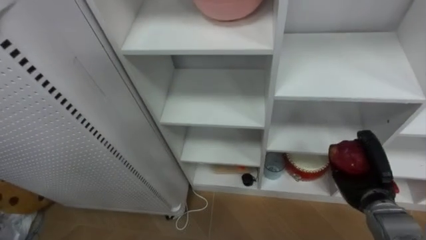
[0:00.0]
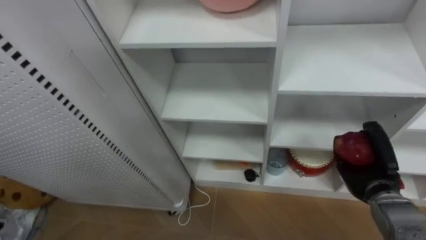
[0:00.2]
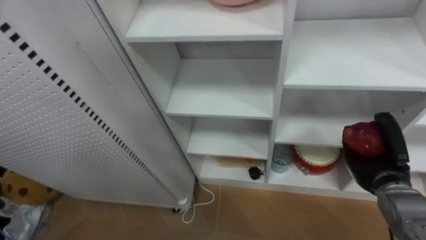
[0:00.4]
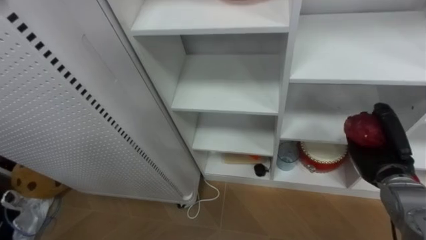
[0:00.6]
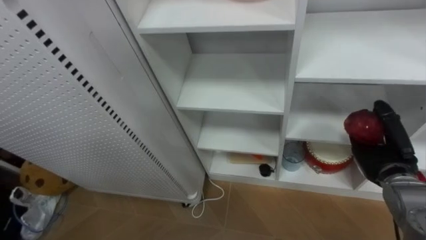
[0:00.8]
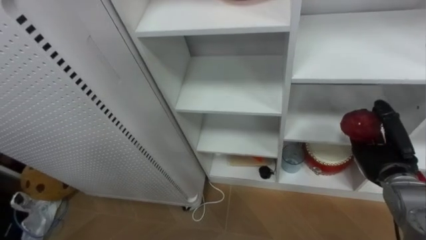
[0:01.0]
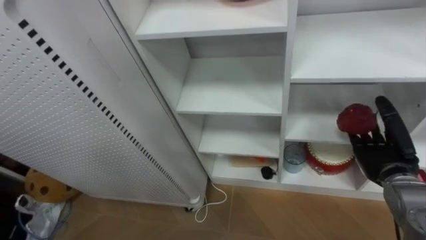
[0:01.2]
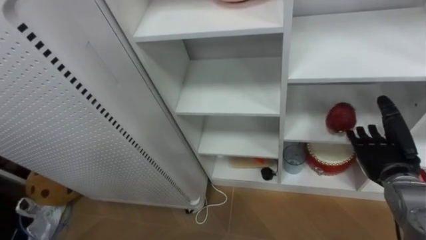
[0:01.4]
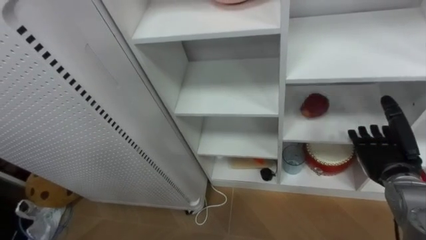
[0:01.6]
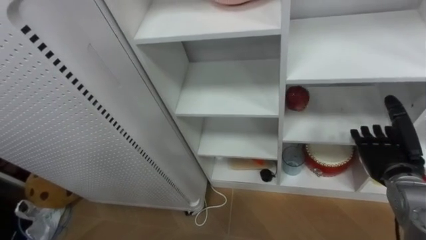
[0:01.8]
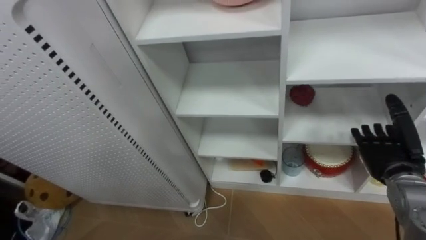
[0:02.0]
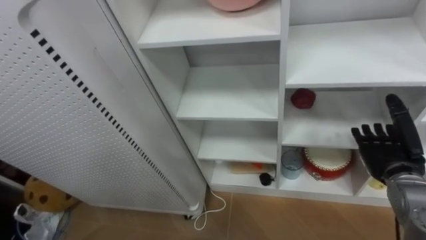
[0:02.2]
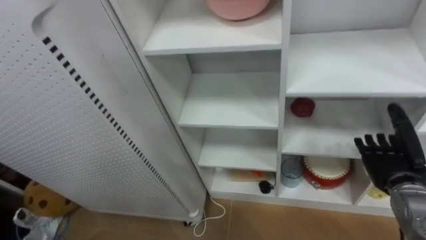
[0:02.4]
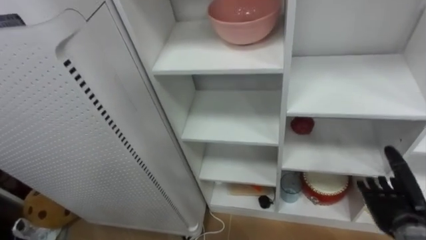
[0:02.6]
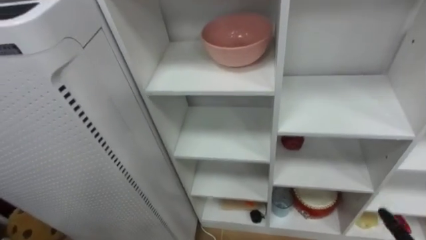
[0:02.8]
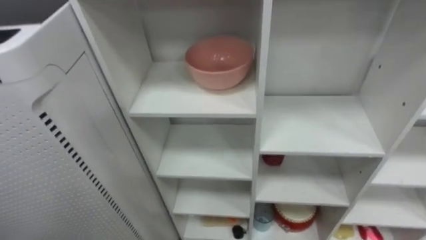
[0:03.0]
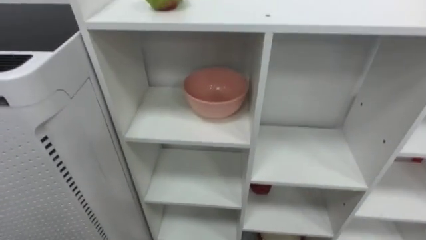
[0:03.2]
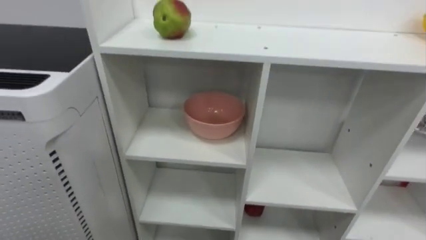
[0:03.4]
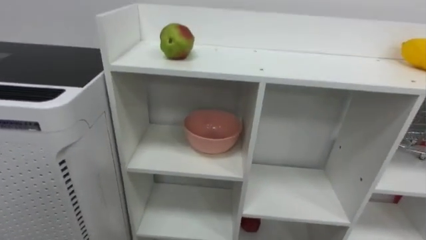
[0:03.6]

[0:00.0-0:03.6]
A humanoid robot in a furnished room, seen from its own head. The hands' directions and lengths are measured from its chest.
Task of the whole recording: Put the apple in the cell in the second column from the left and the second row from the top.
0:00.0 to 0:01.8: The right hand heads upward, covering some 5 cm, and opens its fingers.

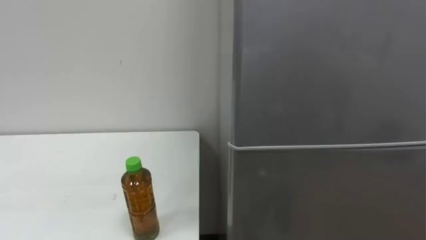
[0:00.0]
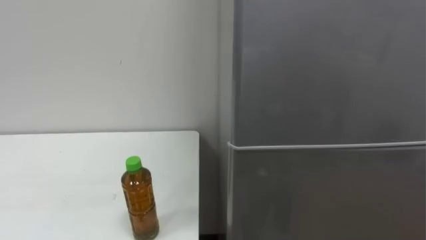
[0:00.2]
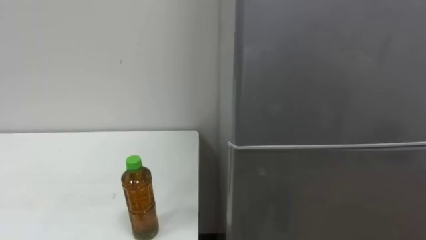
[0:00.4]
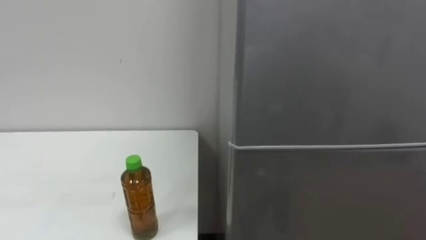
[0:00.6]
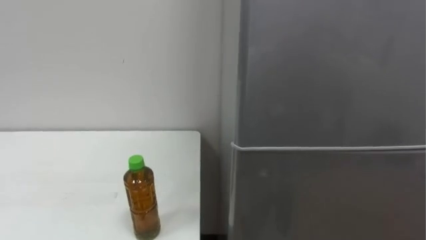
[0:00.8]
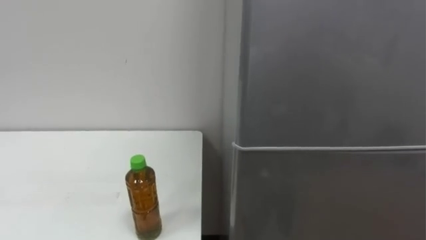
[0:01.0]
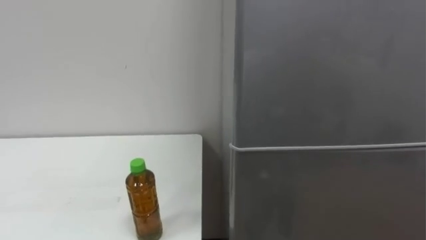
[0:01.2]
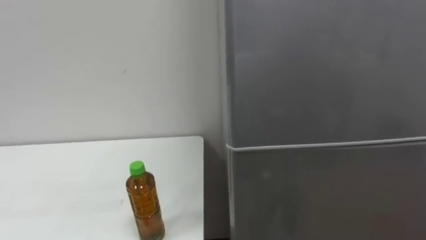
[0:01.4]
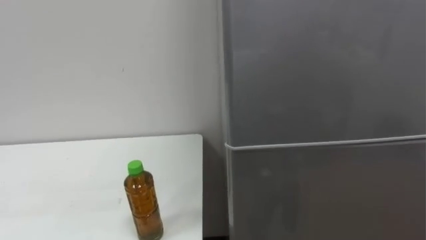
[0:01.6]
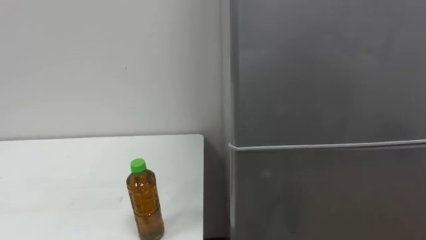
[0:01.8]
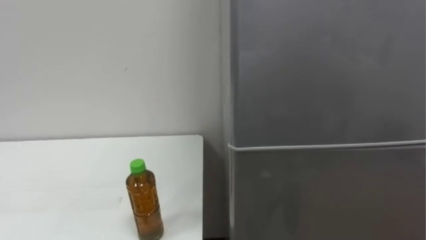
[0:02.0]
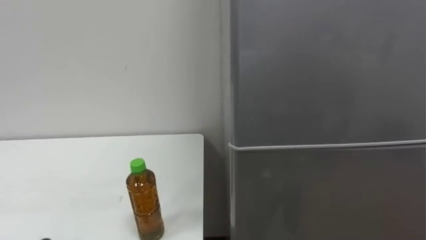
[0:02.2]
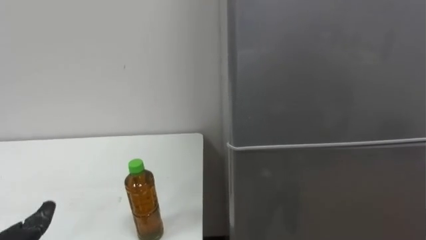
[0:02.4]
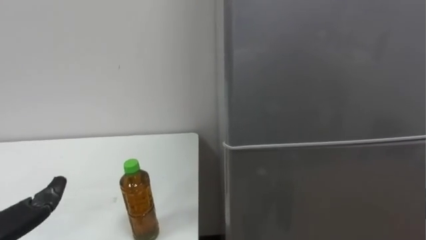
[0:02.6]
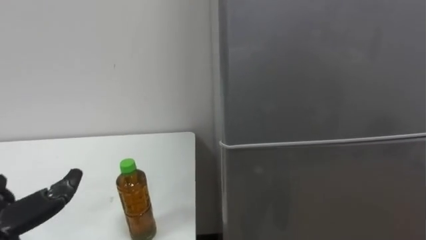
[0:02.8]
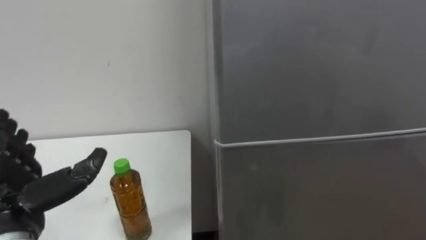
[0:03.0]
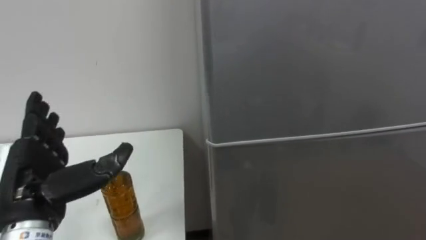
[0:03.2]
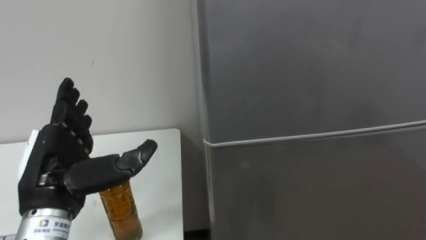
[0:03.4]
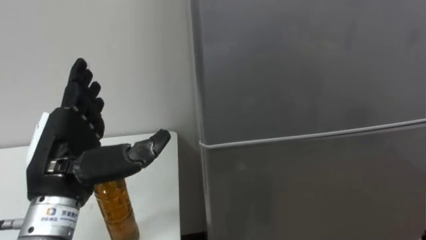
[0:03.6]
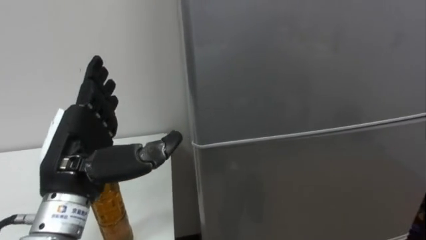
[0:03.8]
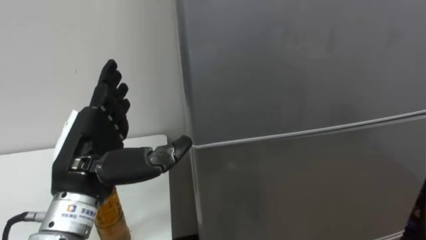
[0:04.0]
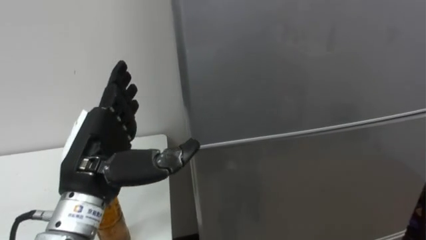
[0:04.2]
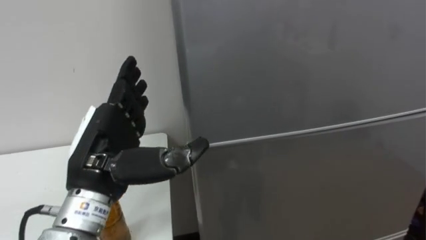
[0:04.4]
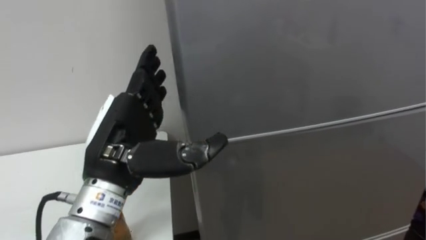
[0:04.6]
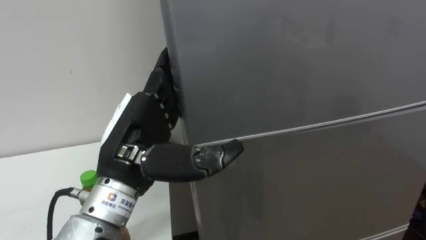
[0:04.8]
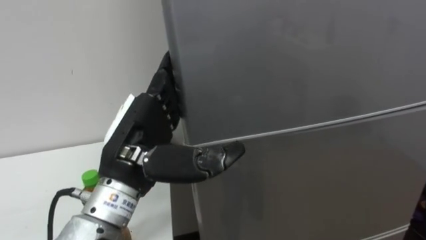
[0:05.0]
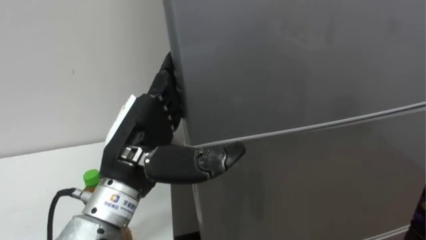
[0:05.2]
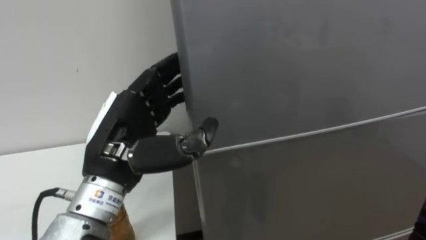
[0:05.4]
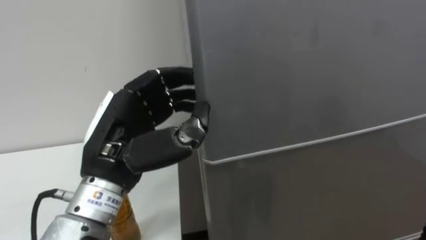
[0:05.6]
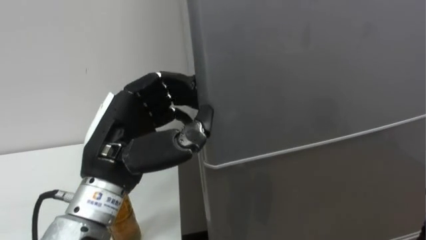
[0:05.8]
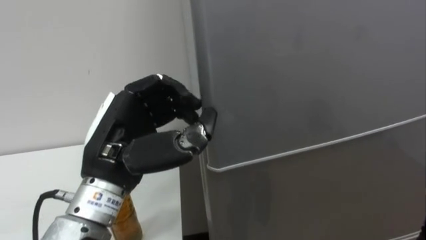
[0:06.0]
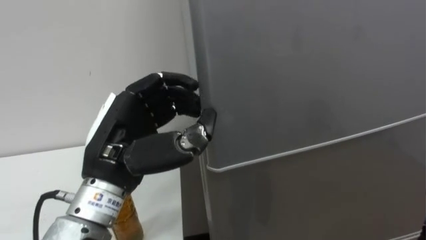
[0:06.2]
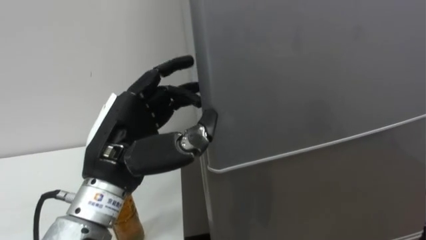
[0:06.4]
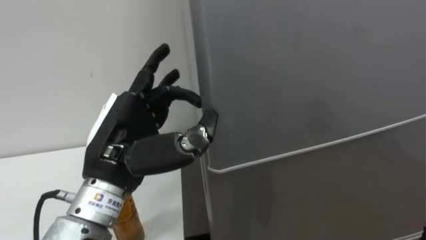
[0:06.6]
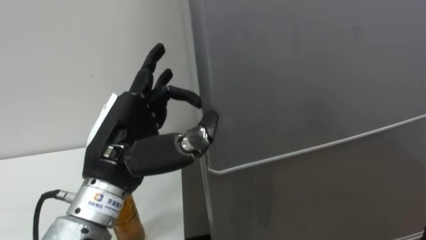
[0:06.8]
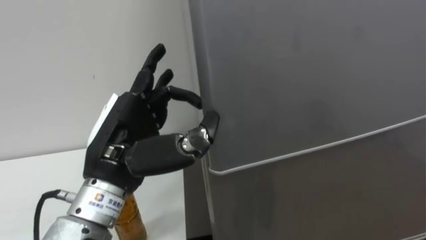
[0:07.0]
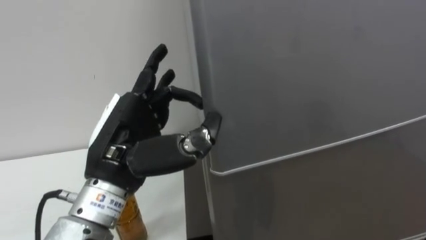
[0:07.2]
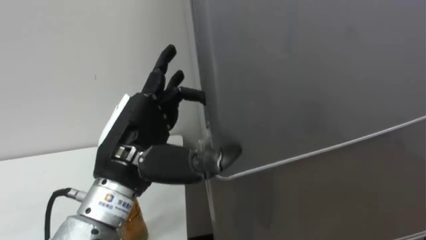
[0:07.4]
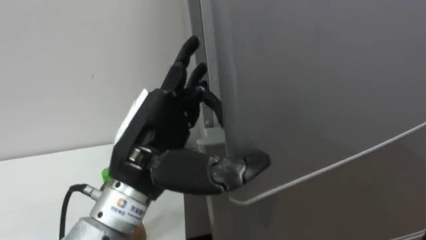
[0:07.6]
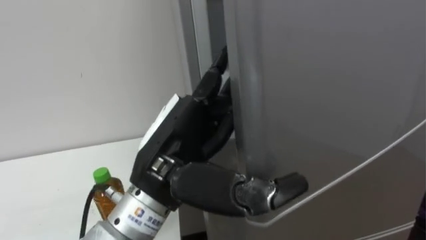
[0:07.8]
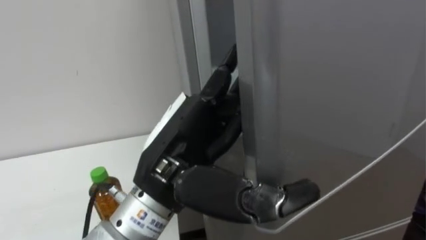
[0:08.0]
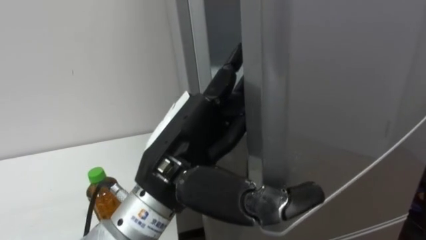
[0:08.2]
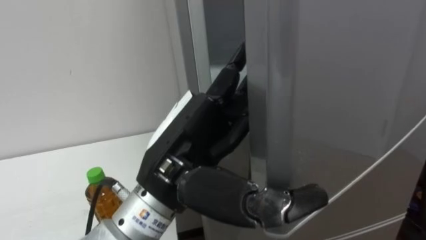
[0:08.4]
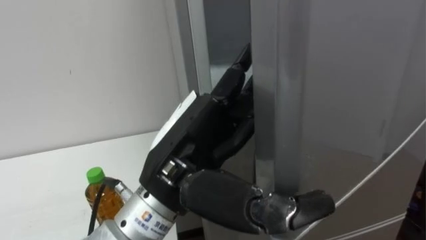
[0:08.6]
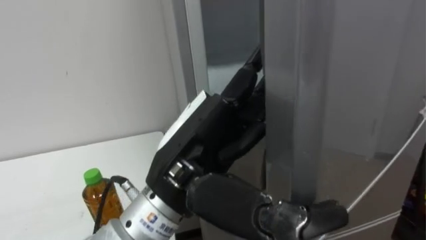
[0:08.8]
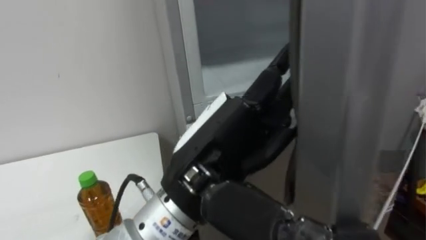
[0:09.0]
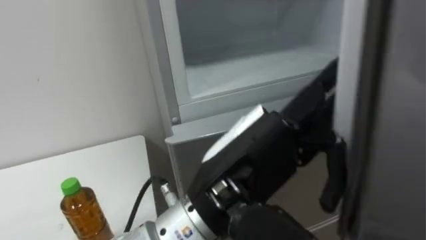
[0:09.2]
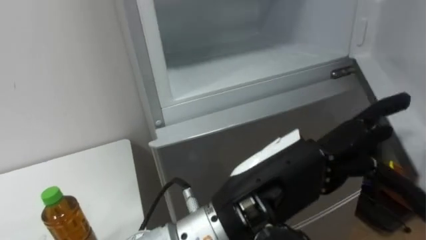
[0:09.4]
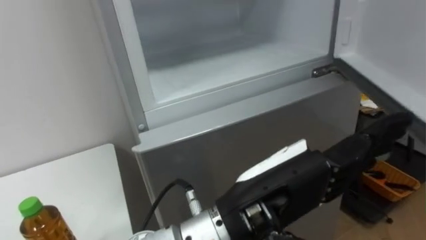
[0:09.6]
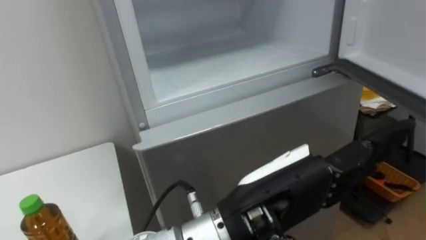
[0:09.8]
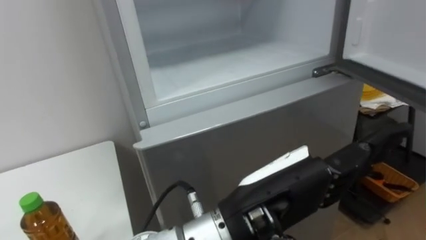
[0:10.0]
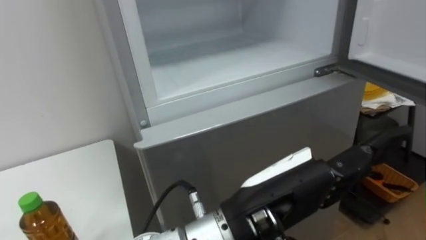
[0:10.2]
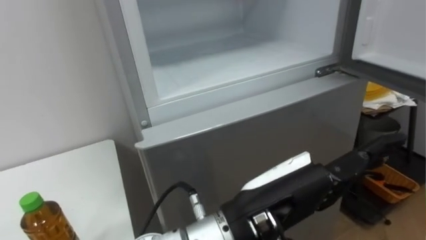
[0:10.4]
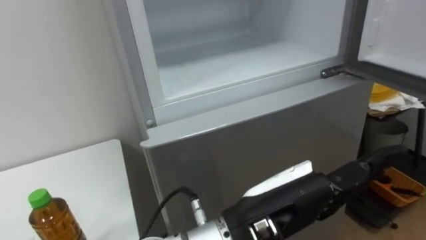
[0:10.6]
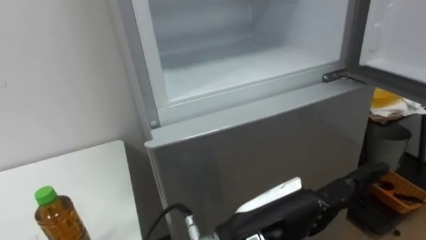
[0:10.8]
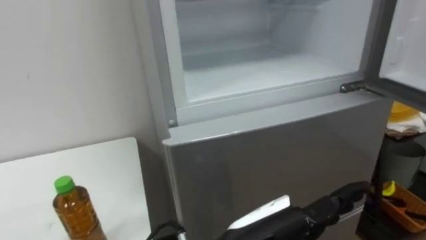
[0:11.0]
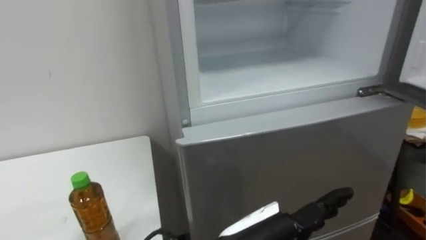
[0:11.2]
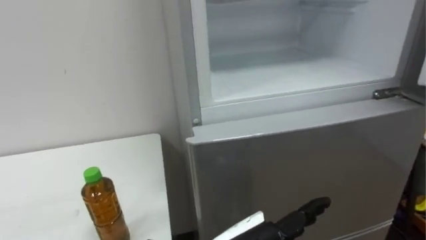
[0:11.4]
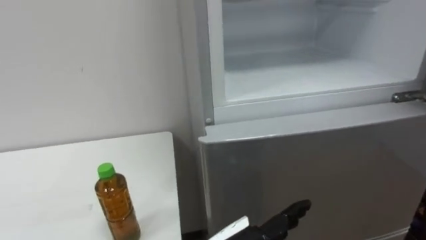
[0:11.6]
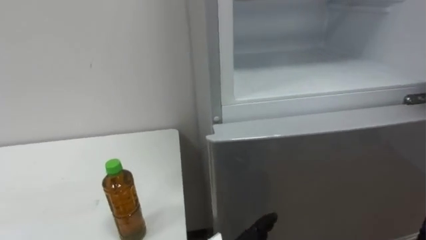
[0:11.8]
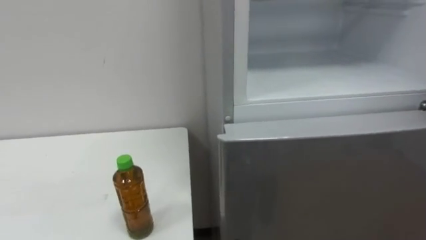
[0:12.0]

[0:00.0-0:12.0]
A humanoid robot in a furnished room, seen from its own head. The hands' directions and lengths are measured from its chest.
Task of the whole recording: Open the upper refrigerator door, put the drink from the table into the refrigerator, and then close the refrigerator door.
0:03.0 to 0:04.4: The left hand travels to the right and upward by about 15 cm.
0:04.4 to 0:06.0: The left hand closes its fingers.
0:06.0 to 0:07.6: The left hand opens its fingers.
0:07.6 to 0:09.0: The left hand shifts about 5 cm to the right.
0:09.0 to 0:10.4: The left hand travels to the right by approximately 5 cm.

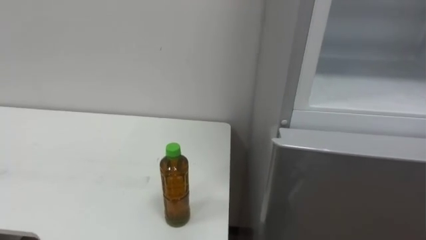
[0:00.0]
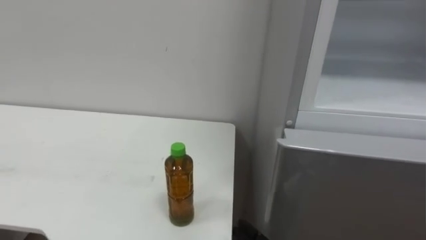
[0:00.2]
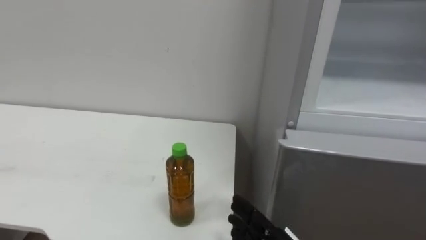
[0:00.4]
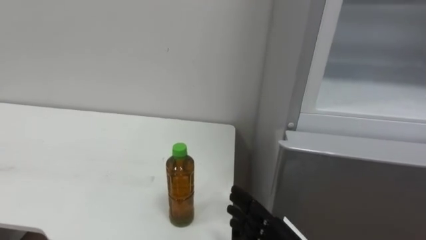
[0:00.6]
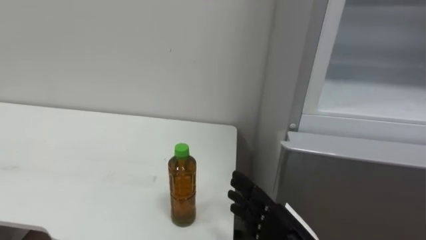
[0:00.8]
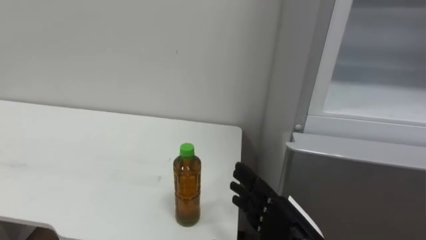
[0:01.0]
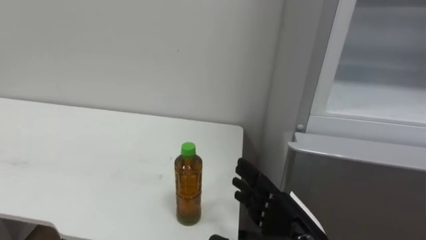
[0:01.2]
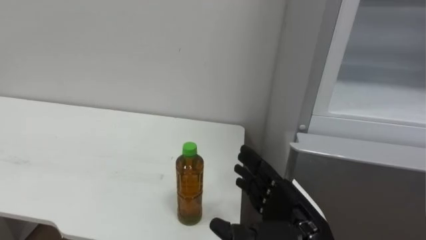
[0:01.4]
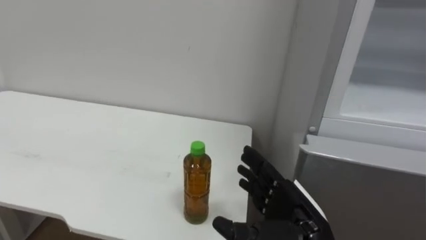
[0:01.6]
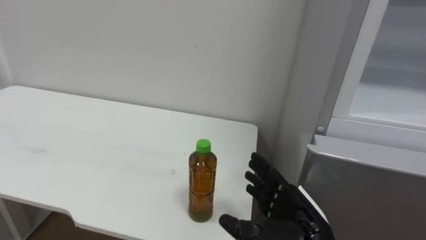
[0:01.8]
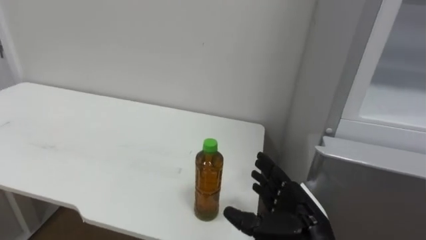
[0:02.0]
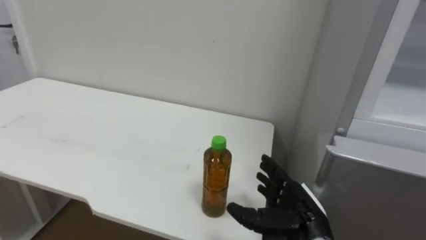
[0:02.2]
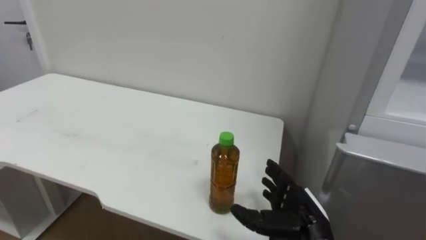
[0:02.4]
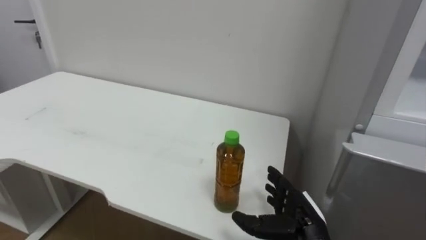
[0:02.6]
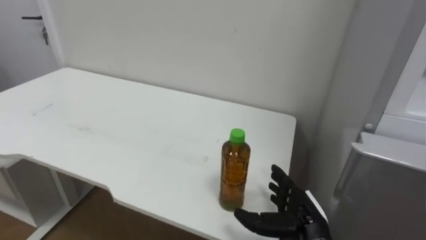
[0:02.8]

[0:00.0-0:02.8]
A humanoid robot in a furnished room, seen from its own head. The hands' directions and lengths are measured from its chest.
Task of the whole recording: Open the upper refrigerator door, put the drink from the table into the refrigerator, and then close the refrigerator door.
0:01.4 to 0:02.8: The right hand is displaced downward and forward by roughly 10 cm.
